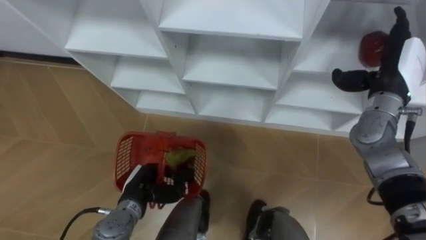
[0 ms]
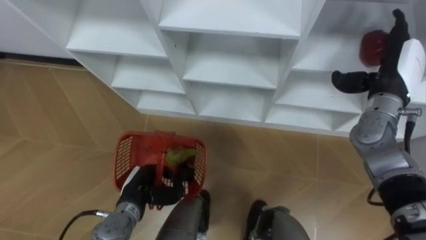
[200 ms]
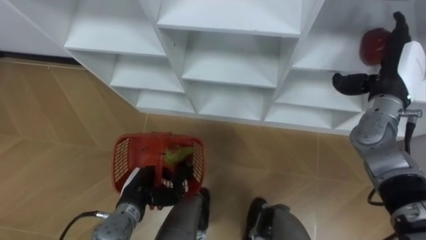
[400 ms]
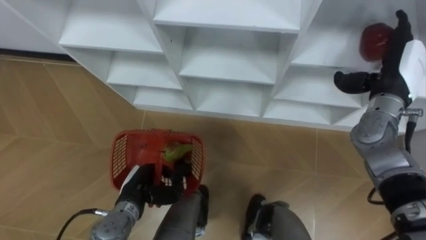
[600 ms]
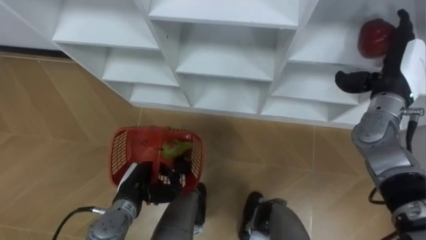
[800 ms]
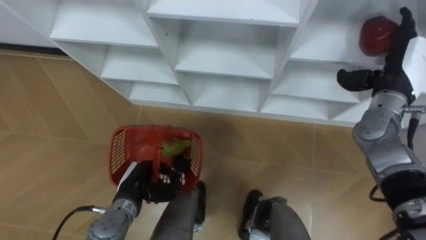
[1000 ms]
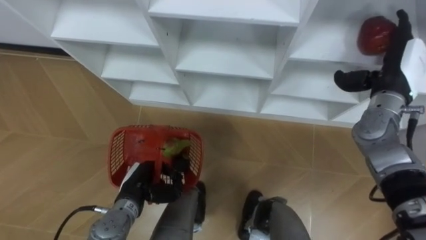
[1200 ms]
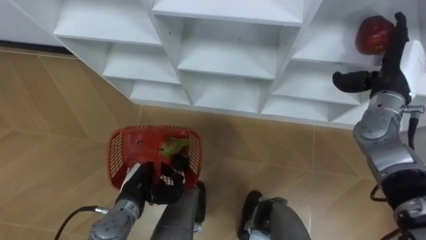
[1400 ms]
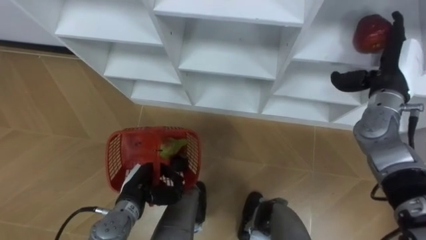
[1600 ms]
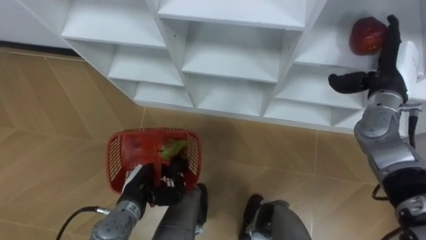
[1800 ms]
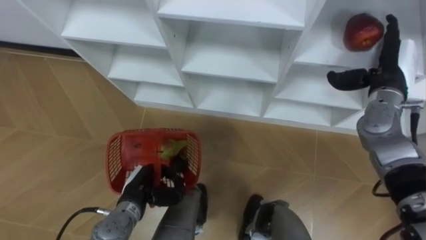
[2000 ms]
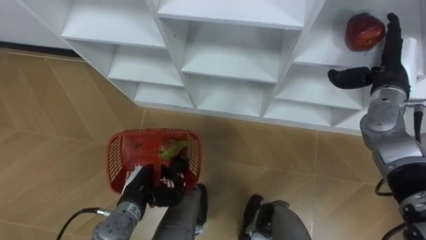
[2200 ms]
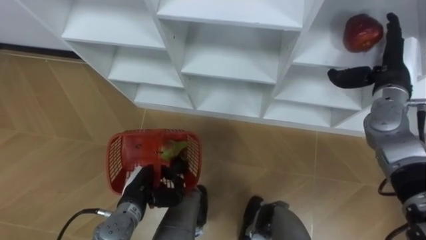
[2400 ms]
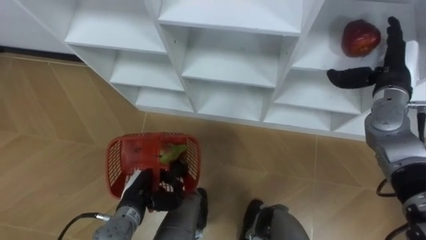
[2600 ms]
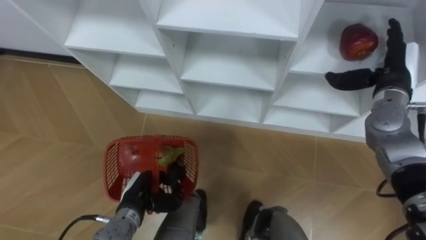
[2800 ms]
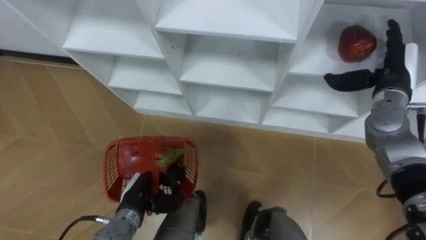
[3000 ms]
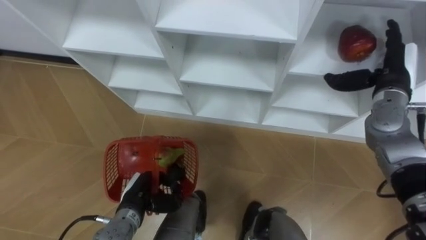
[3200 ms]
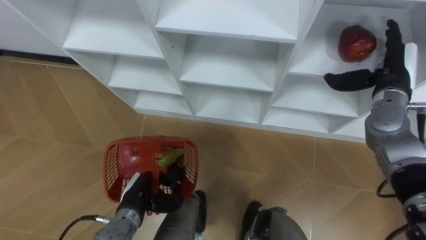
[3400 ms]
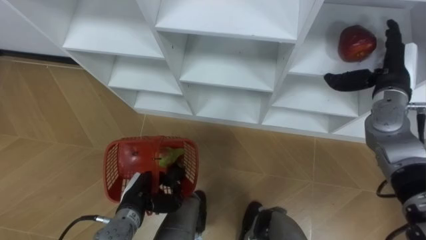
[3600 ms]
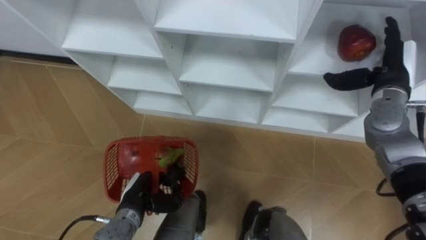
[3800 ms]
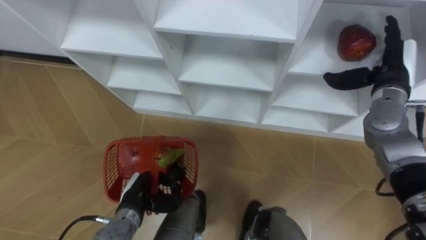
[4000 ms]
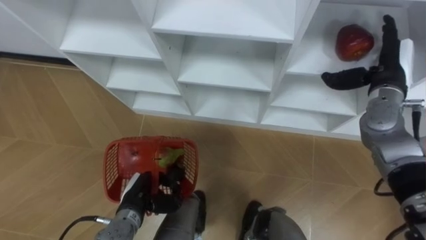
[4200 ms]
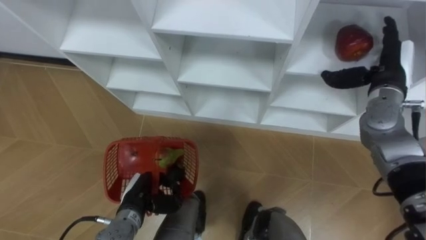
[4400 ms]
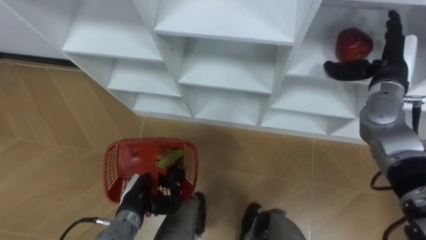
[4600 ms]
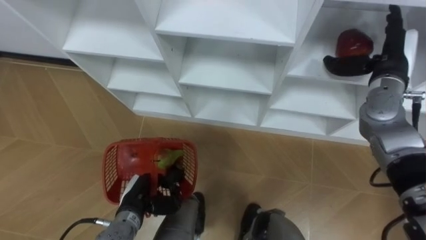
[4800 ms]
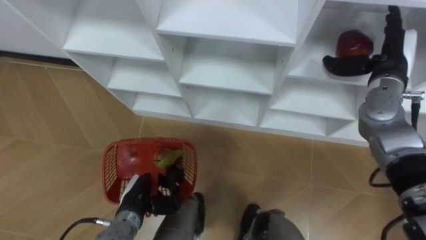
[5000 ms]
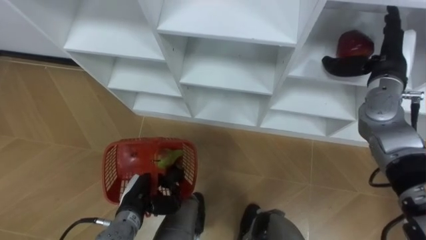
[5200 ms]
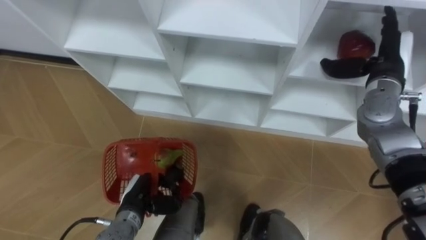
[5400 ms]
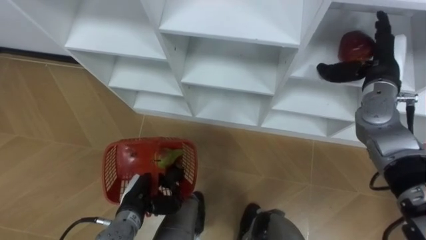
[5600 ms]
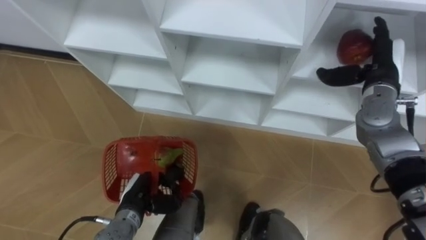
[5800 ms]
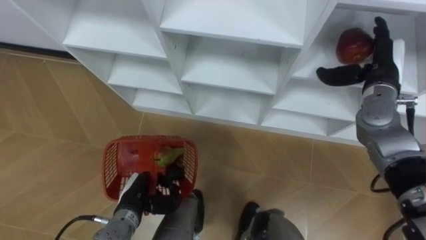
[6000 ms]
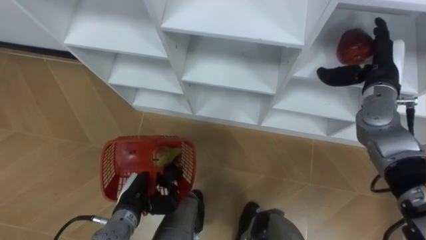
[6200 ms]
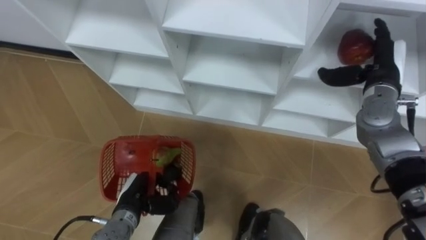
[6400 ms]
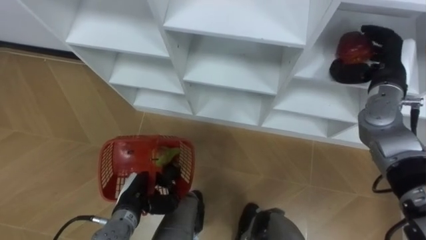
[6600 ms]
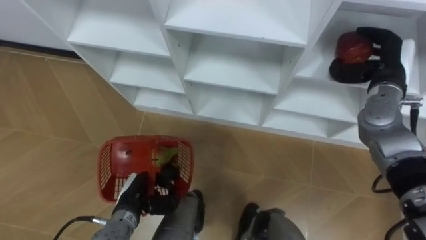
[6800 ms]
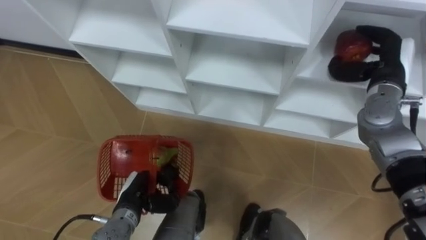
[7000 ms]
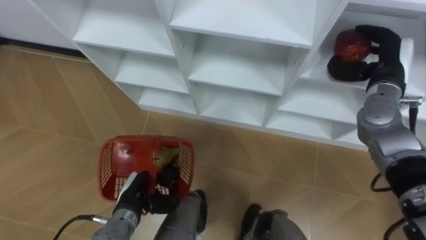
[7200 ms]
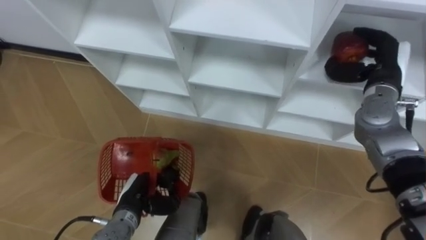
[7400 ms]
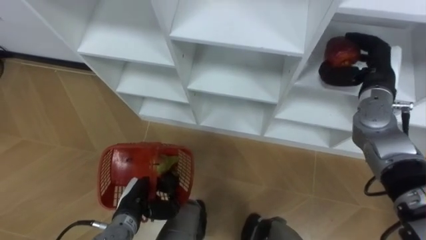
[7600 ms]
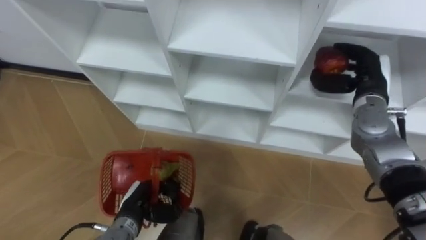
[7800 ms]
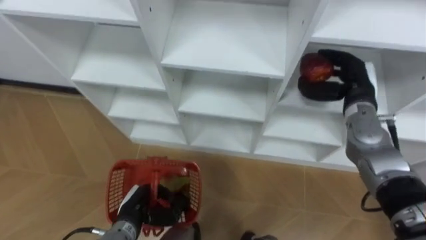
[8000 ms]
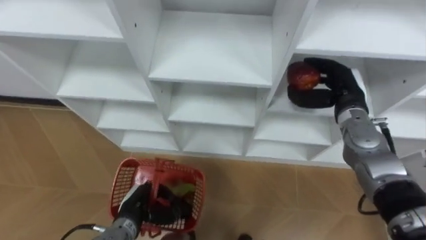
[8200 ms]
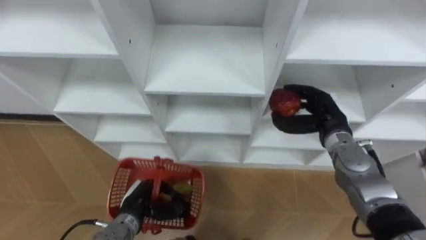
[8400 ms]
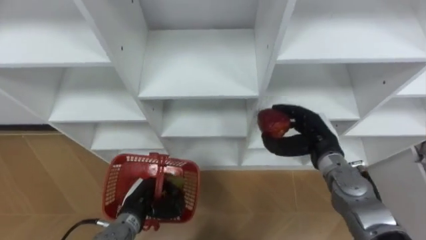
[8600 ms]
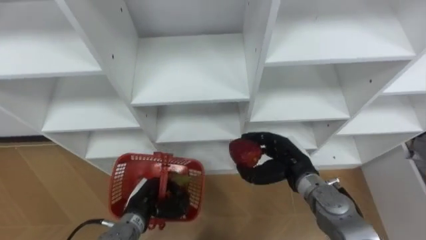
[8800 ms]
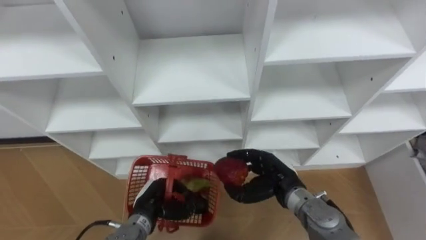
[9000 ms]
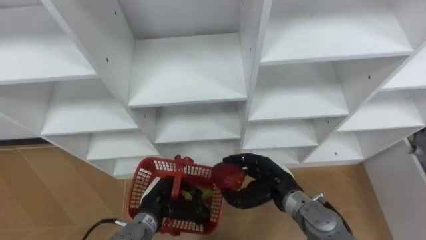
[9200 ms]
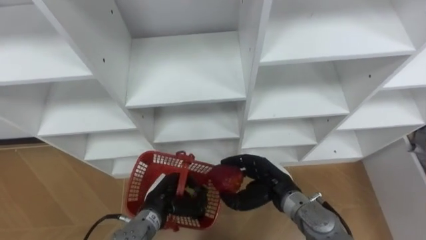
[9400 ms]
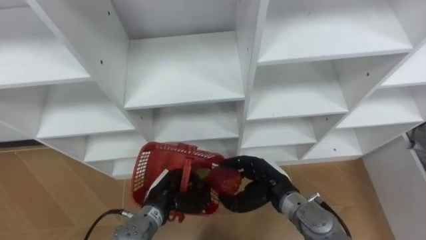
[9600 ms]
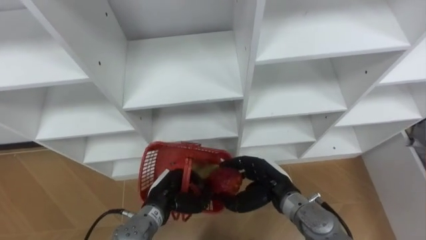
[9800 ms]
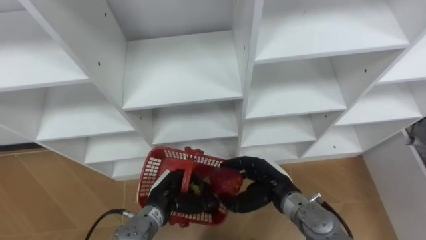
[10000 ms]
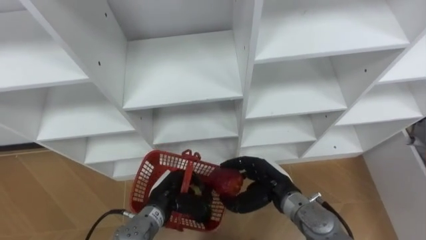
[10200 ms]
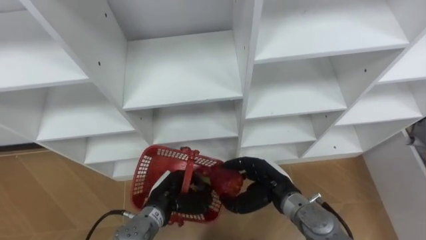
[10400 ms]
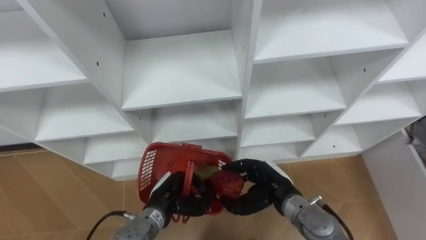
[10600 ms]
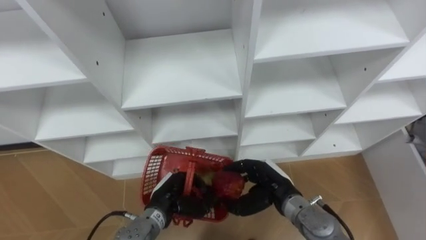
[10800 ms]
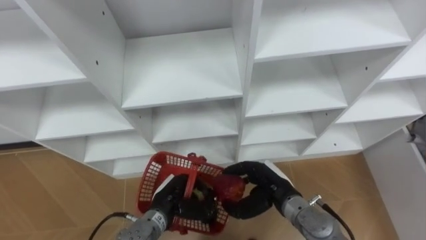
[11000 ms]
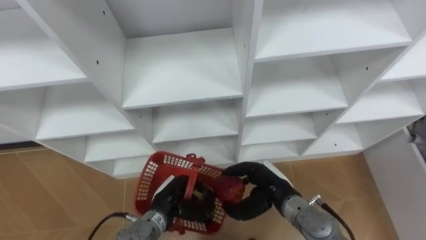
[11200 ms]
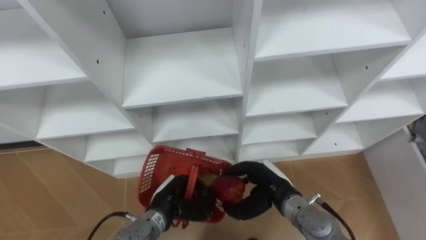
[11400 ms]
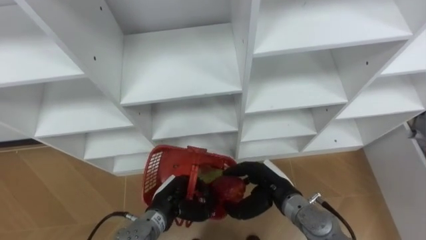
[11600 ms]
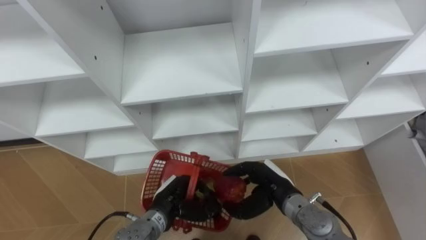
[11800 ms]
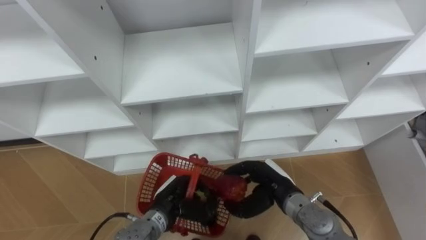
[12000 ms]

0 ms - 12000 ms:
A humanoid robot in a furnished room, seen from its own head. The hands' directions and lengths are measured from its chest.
Task of the whole recording: Hold the basket and collect the fruits from 3 different cells of the closet into it.
4400 ms - 6000 ms: The hands stay close to where they were, moving slightly.
6000 ms - 7600 ms: The right hand closes its fingers.
7600 ms - 9000 ms: The right hand is displaced to the left, downward and backward by roughly 25 cm.

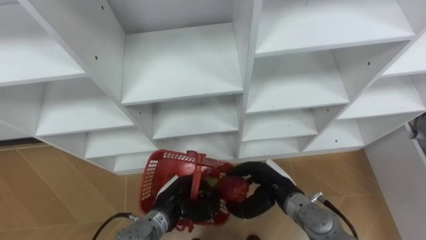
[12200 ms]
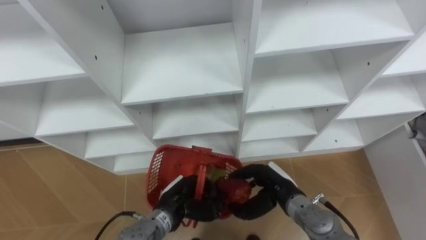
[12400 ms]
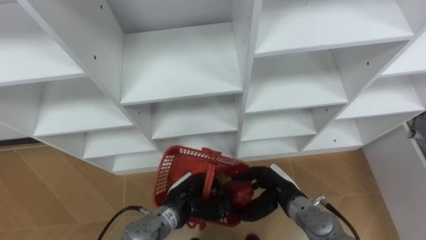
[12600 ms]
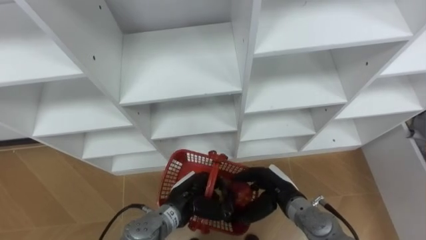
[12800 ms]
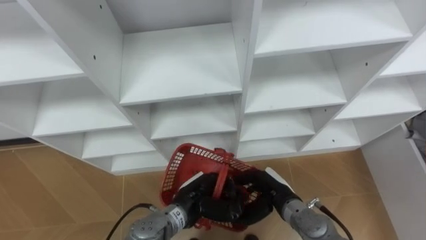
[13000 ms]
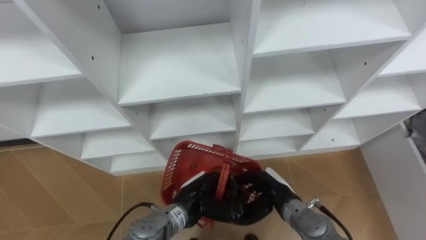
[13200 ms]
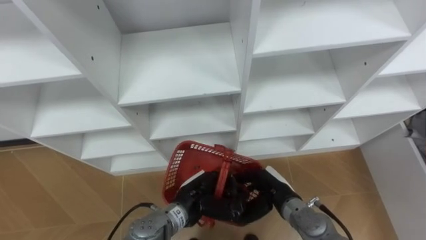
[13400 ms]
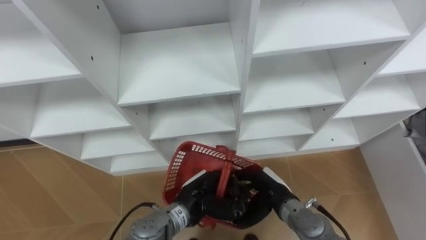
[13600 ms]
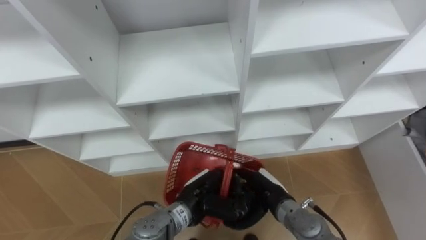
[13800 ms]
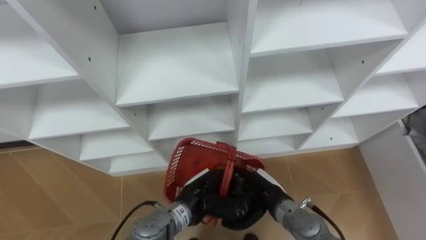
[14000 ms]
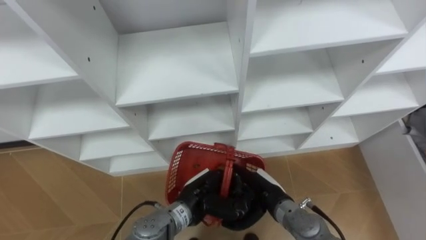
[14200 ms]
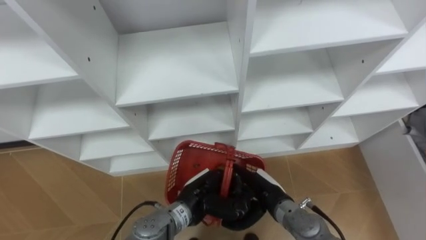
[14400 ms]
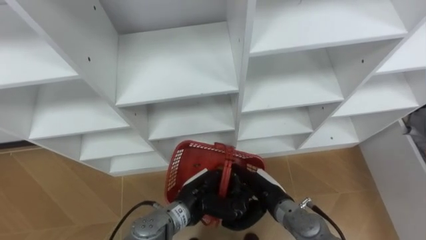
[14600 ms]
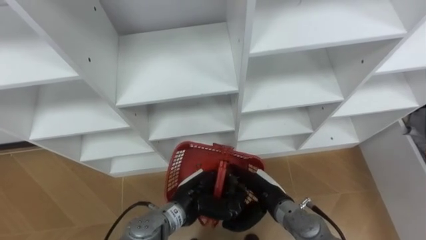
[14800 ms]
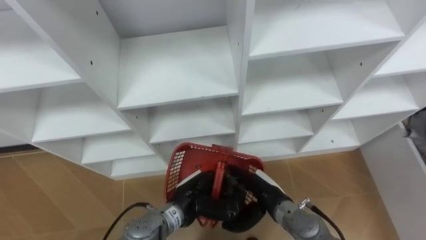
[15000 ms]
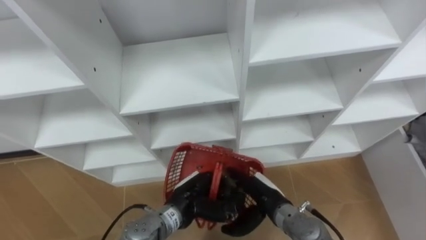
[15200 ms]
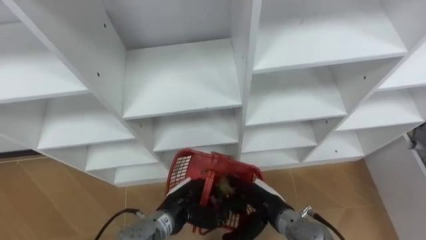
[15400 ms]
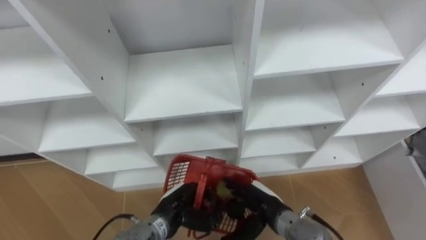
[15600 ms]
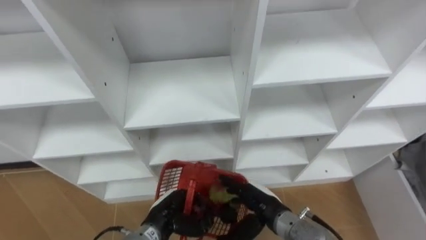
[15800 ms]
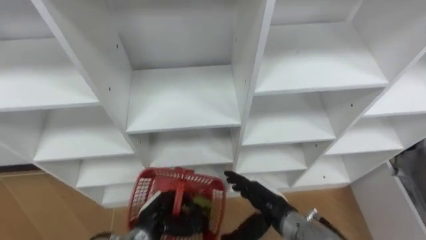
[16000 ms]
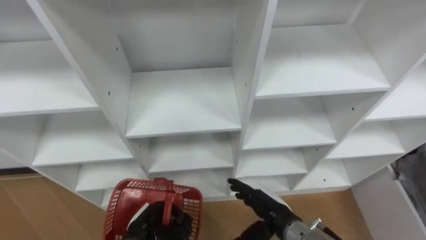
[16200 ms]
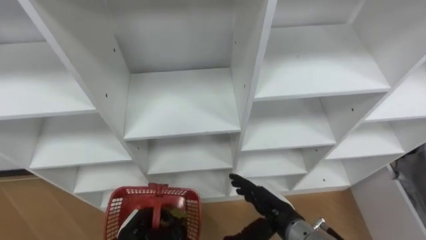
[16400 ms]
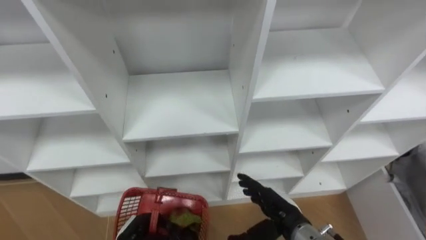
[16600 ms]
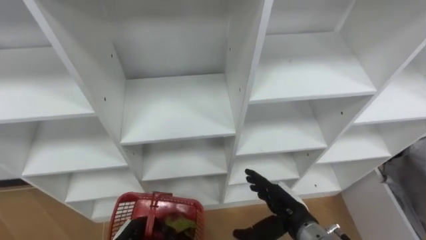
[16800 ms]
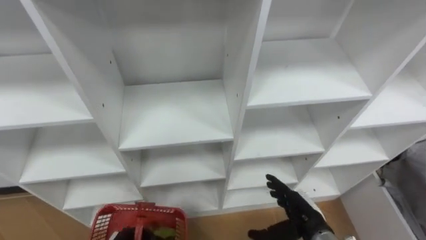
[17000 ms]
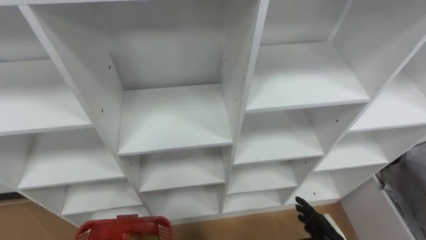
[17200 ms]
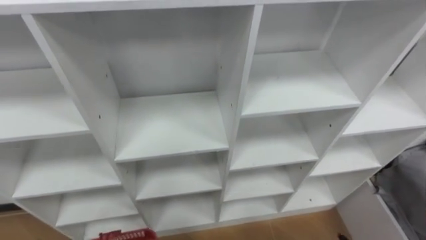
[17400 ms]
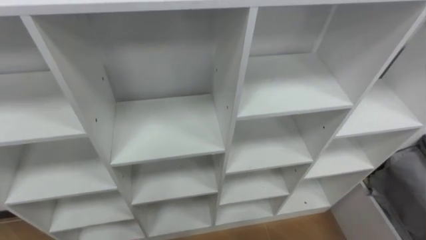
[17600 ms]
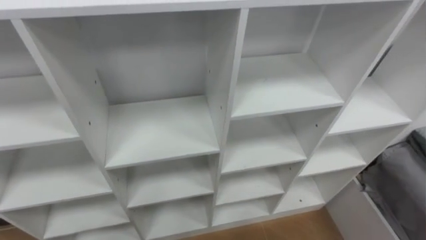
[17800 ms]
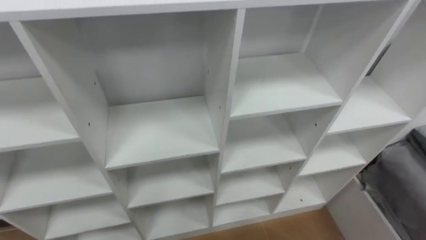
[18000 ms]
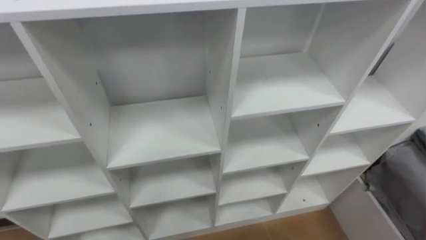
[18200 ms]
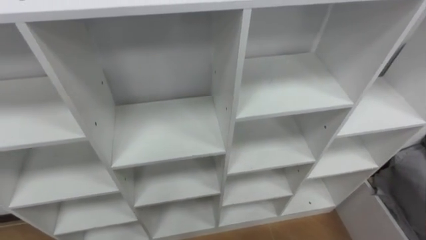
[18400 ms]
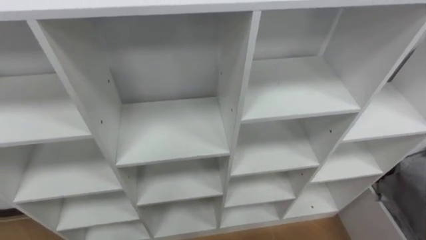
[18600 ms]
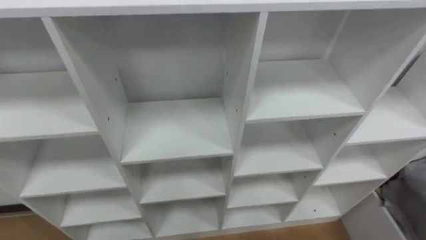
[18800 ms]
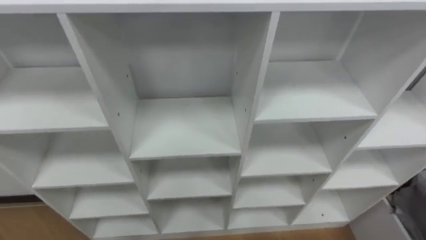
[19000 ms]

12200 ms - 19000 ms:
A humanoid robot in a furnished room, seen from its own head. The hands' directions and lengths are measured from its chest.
Task of the whole recording: Hold the basket and collect the fruits from 3 different cells of the closet into it.
12200 ms - 13600 ms: The left hand travels to the right by about 5 cm.
13600 ms - 15000 ms: The right hand opens up.
15000 ms - 16200 ms: The left hand shifts roughly 10 cm to the left and downward.
